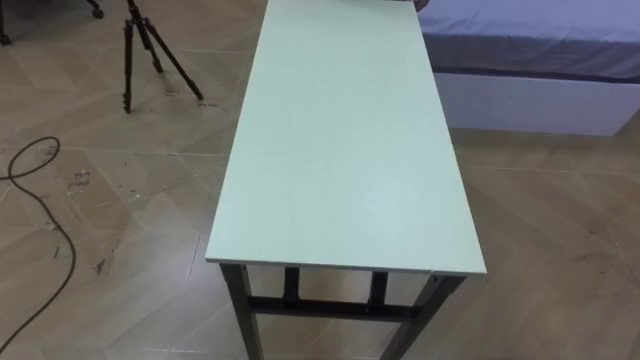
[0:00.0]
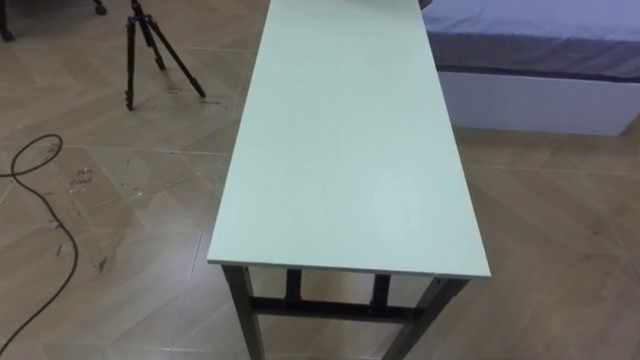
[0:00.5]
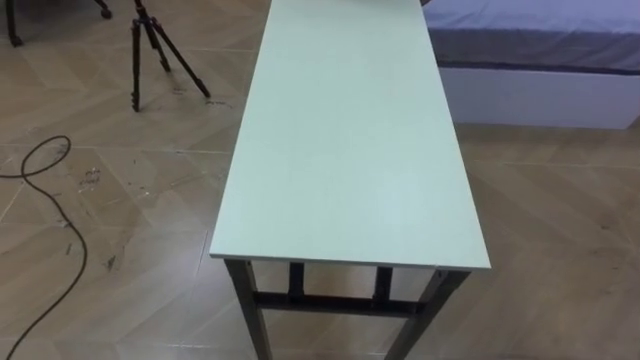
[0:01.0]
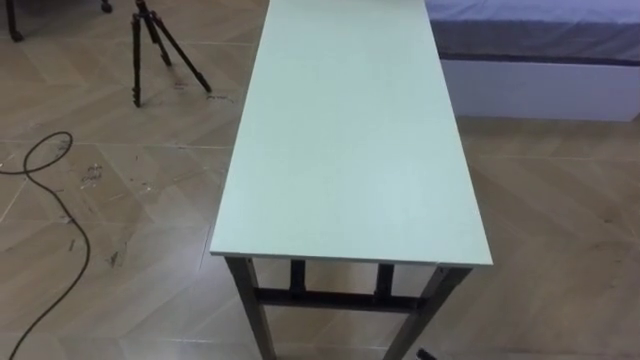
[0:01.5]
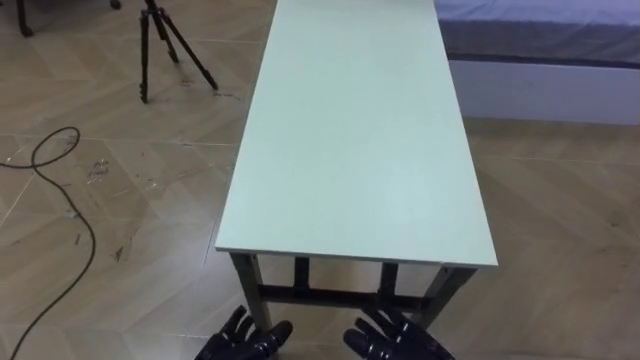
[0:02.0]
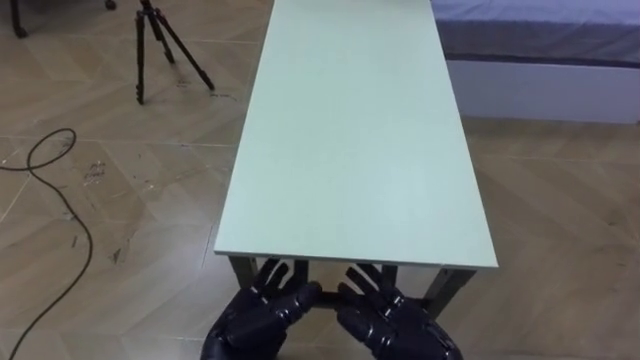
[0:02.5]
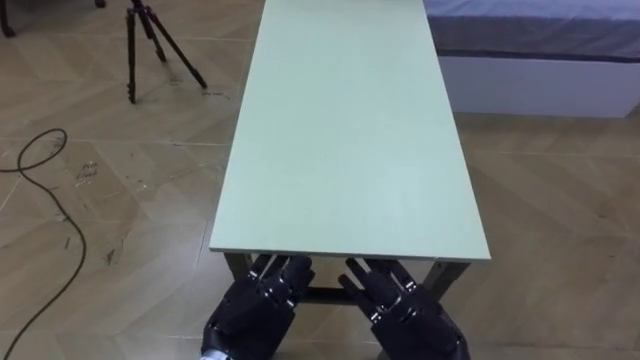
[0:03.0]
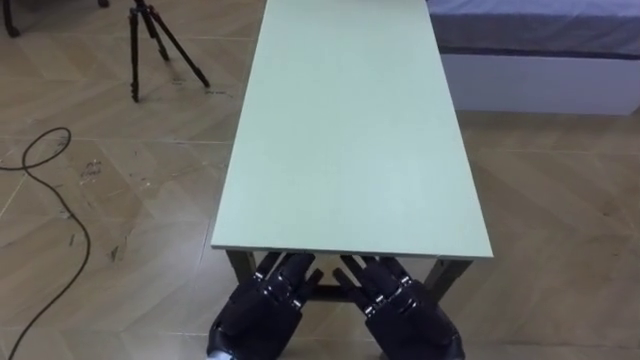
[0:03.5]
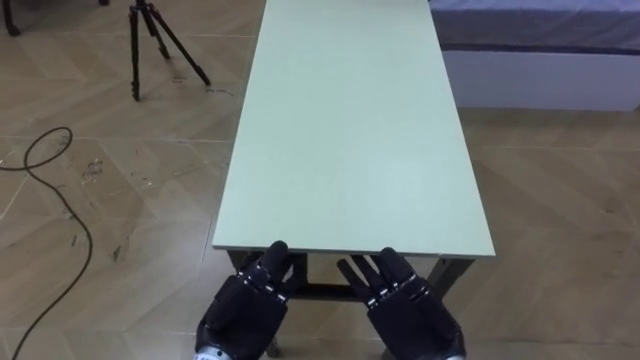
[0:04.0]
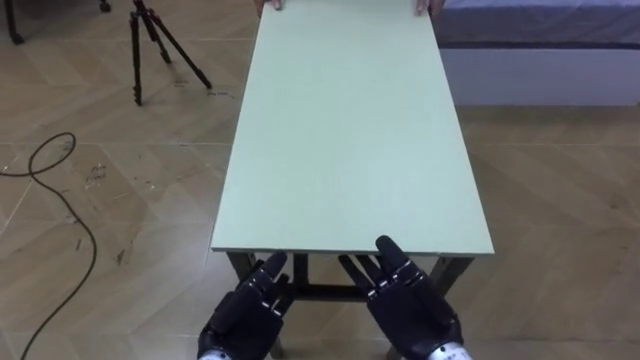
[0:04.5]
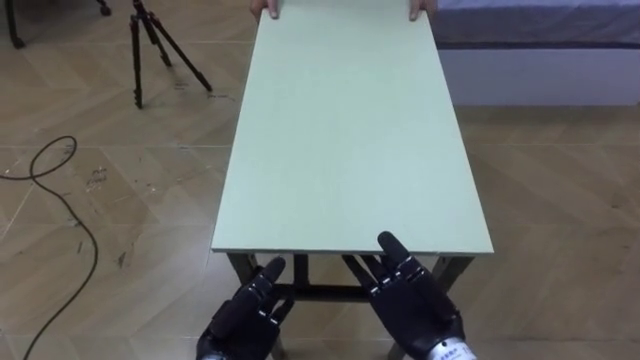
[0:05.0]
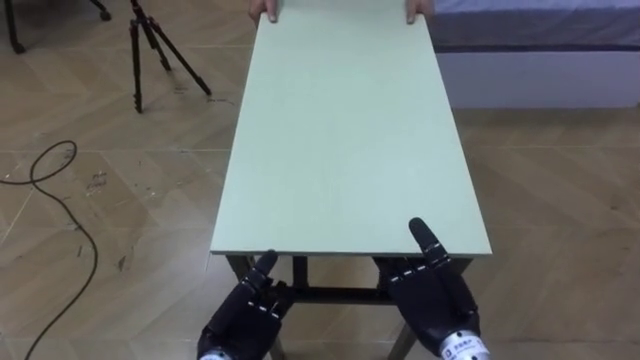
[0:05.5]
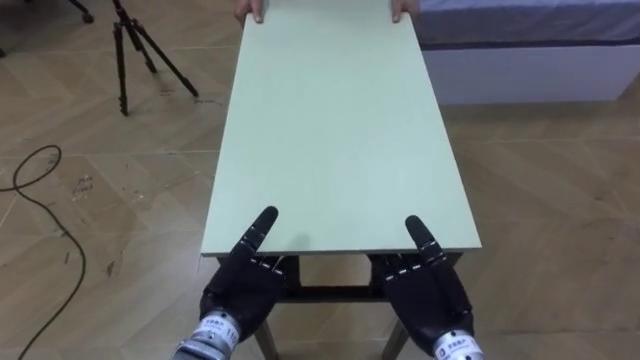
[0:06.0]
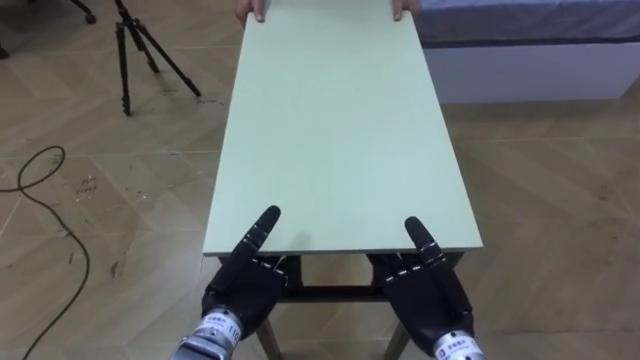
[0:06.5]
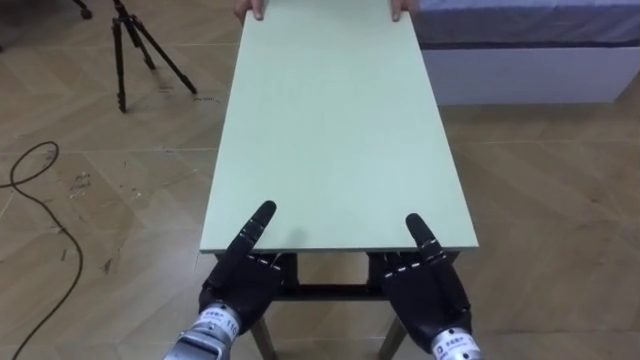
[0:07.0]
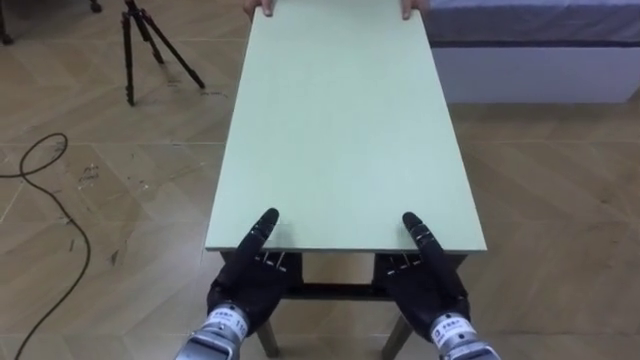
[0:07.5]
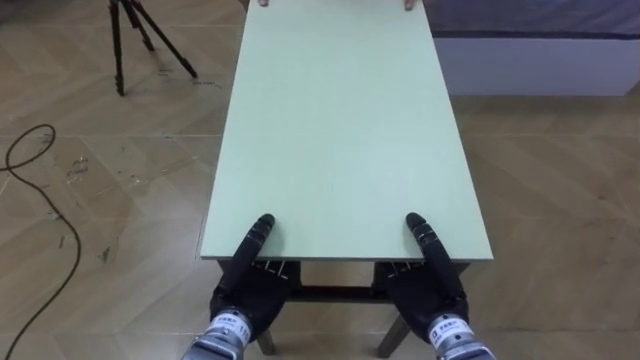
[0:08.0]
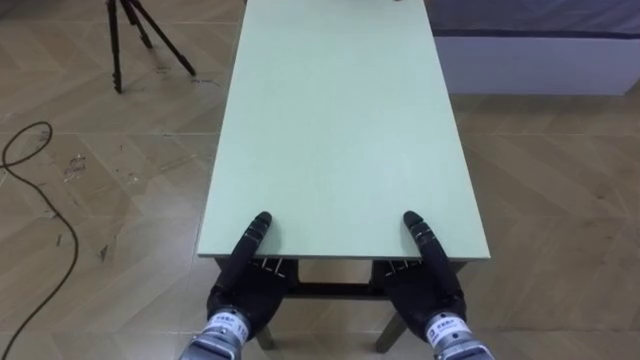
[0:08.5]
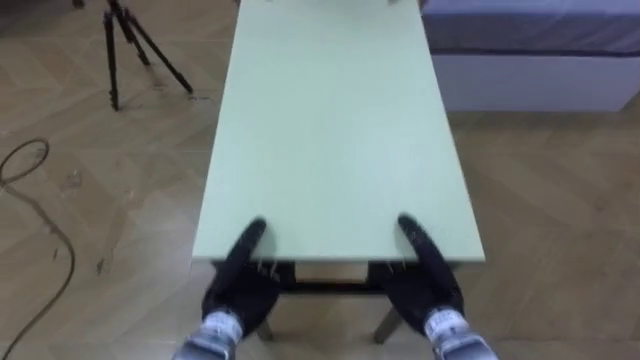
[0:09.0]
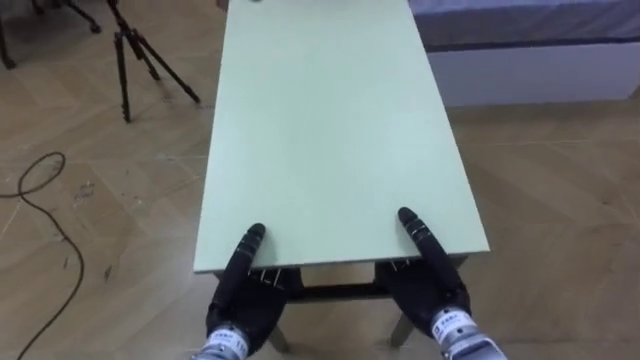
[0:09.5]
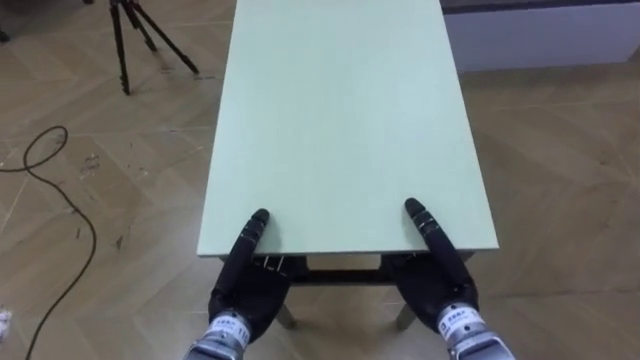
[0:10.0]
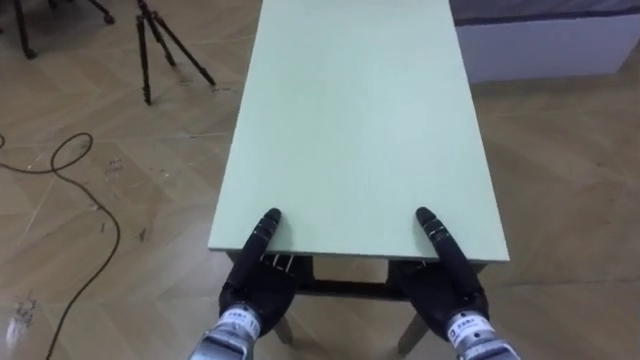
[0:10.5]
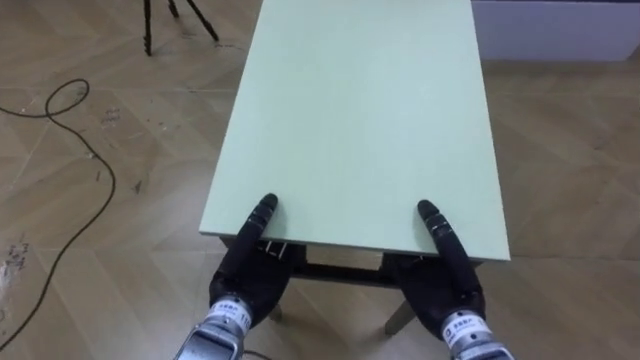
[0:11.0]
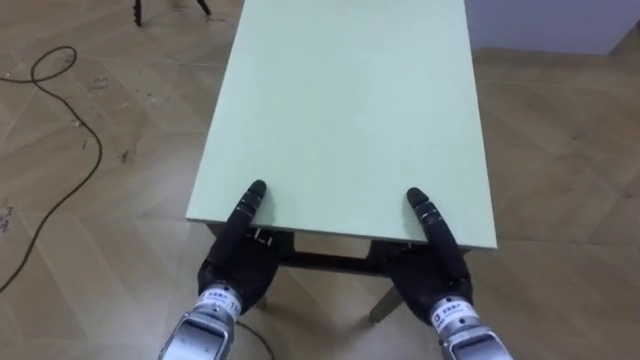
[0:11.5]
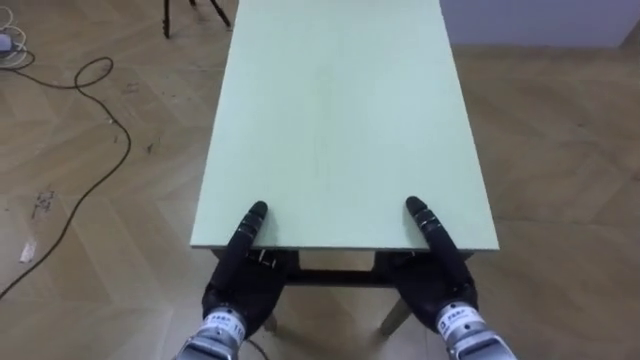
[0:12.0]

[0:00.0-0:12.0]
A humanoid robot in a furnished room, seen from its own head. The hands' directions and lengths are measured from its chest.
Task of the whole recording: Move the table to the back left with someone.
0:04.0 to 0:06.0: There are only small adjustments of the hands.
0:06.0 to 0:08.0: The left hand closes; the right hand closes up.

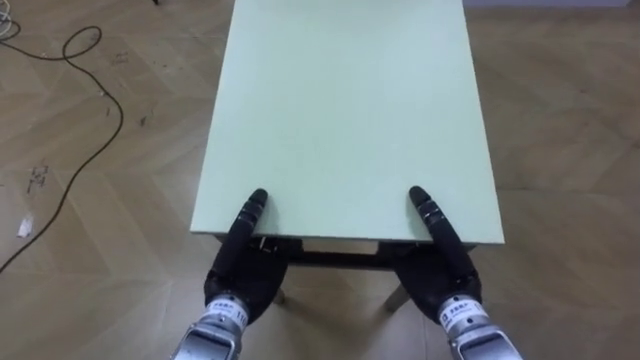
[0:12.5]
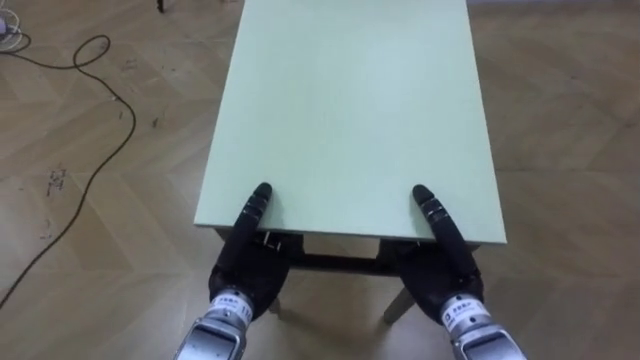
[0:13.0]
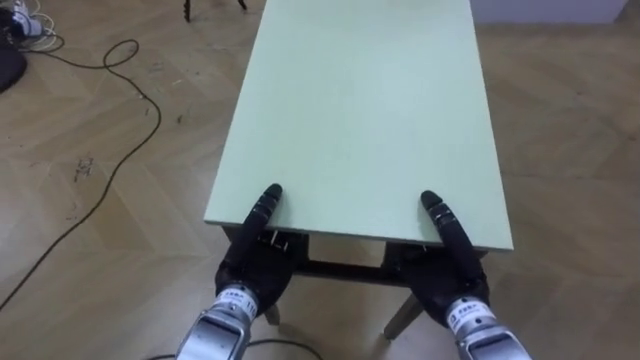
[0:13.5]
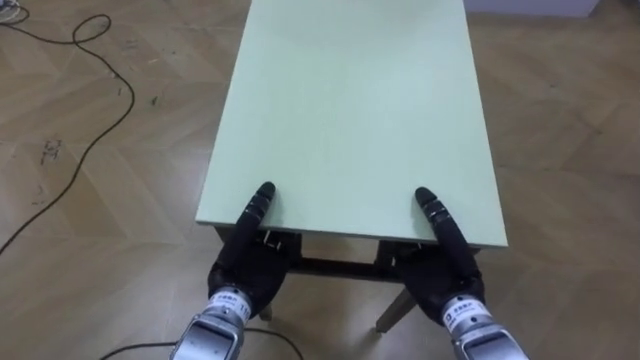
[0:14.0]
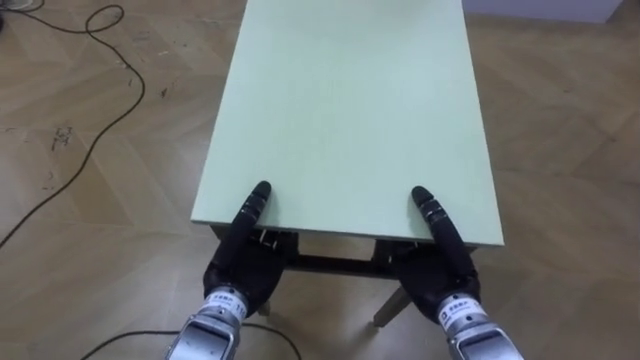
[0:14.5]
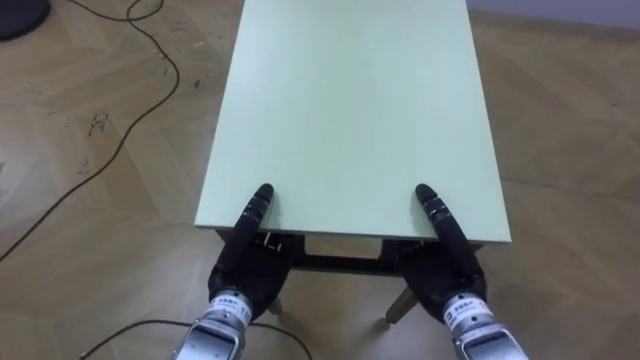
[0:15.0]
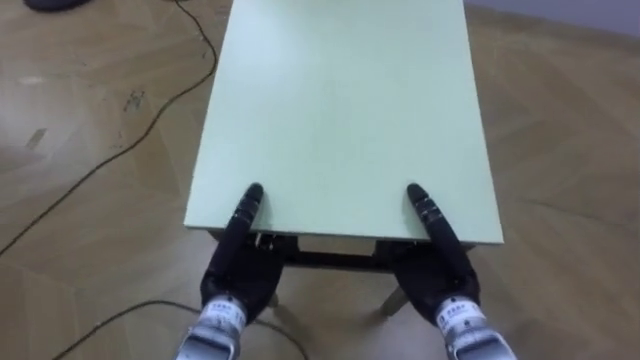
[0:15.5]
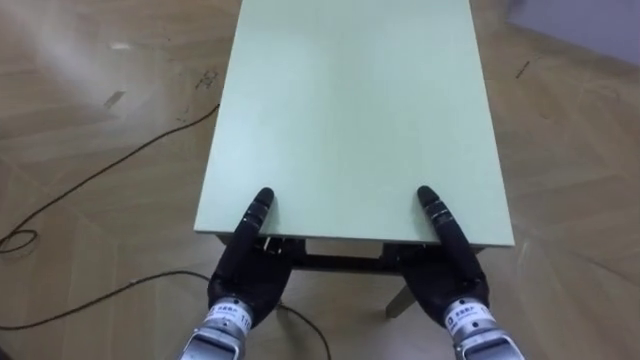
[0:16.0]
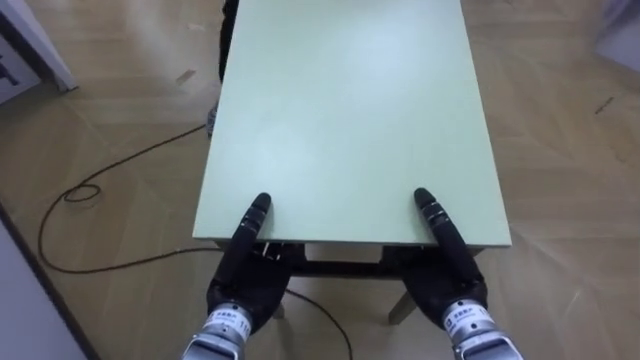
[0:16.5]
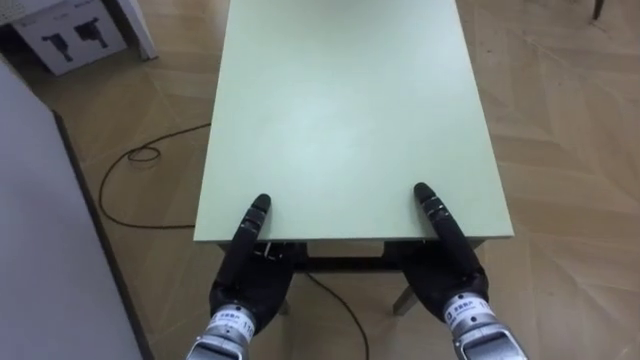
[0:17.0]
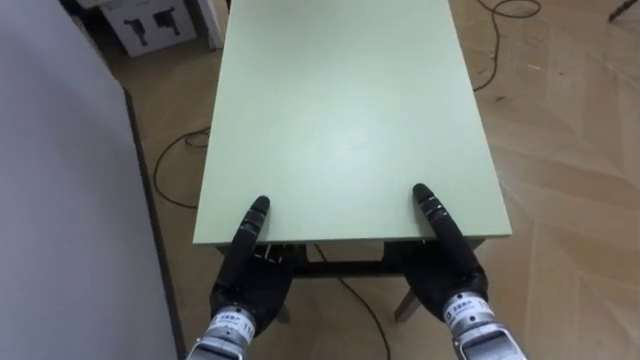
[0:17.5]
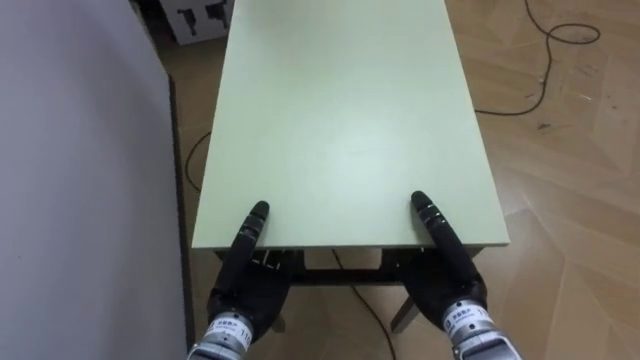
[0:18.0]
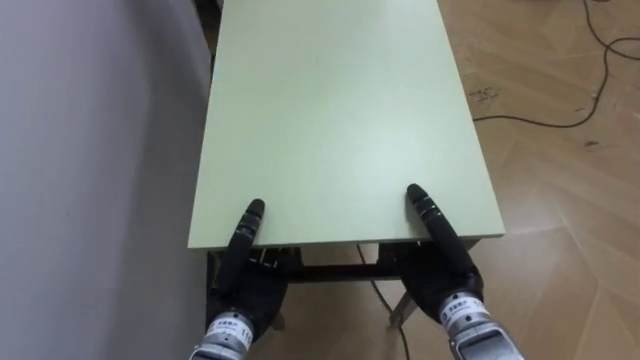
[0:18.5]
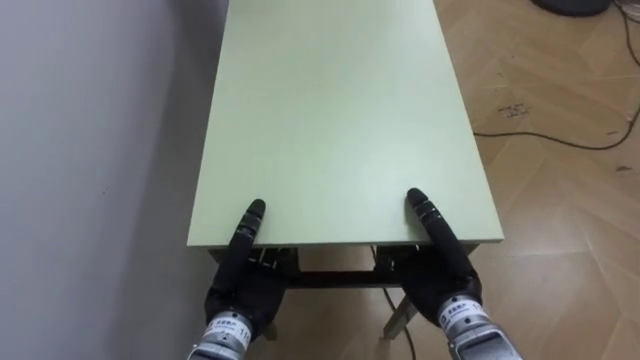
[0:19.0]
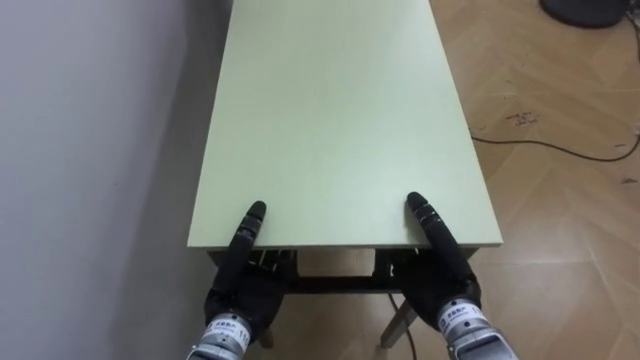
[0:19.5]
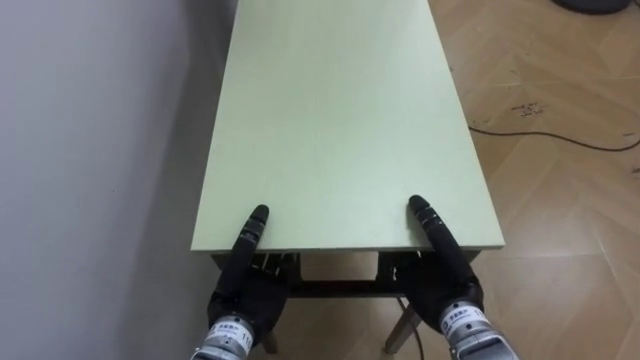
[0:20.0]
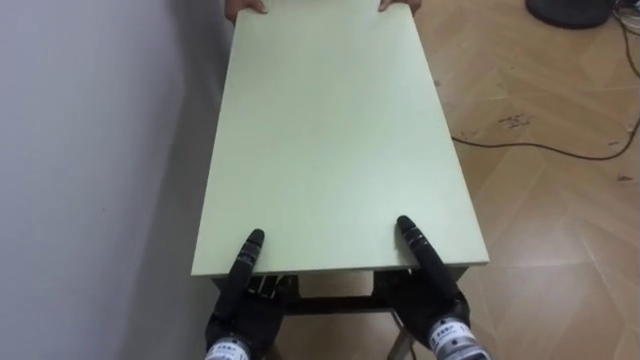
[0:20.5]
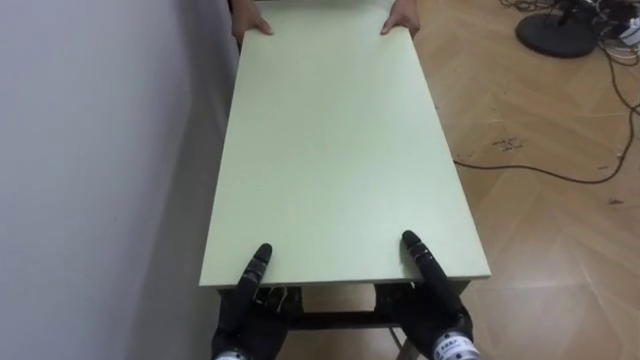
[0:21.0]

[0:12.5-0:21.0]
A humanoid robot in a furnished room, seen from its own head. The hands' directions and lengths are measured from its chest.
Task of the whole recording: Move the table to the back left with someone.
0:14.5 to 0:16.5: The robot rotates some 40 degrees to its left.
0:16.5 to 0:19.0: The robot turns to its left by approximately 40 degrees.
0:19.0 to 0:21.0: The hands both shift downward by some 5 cm.
